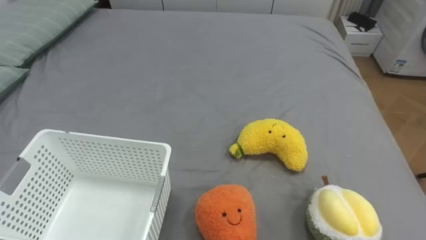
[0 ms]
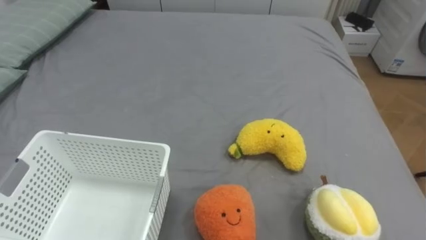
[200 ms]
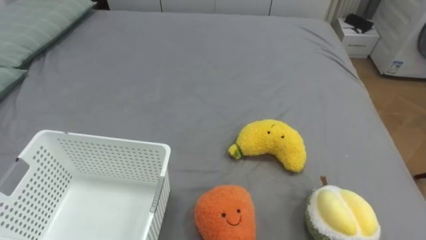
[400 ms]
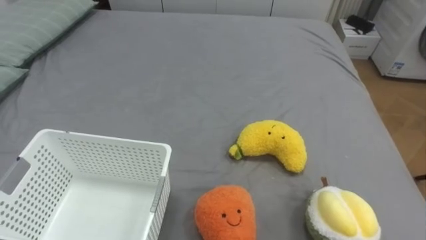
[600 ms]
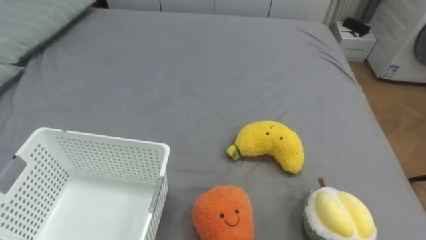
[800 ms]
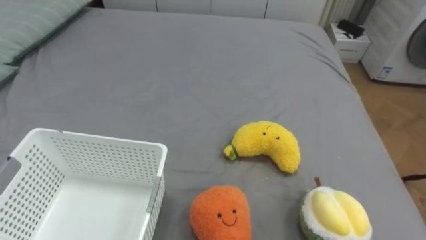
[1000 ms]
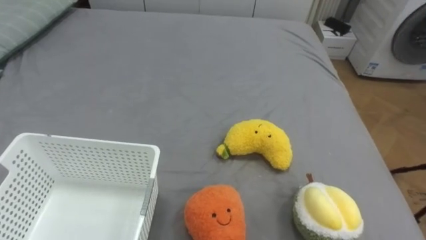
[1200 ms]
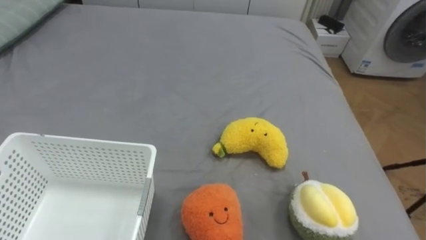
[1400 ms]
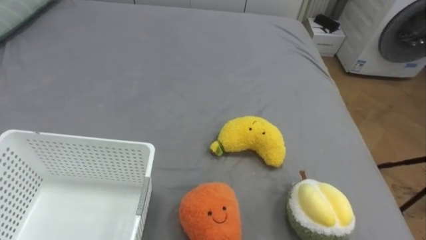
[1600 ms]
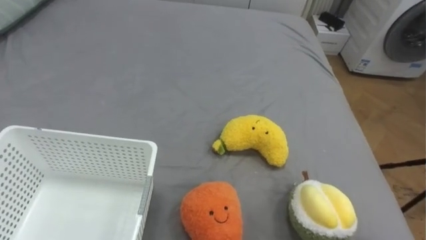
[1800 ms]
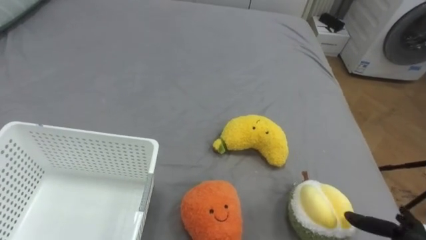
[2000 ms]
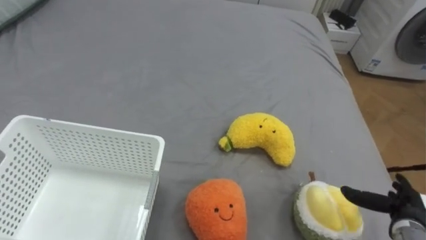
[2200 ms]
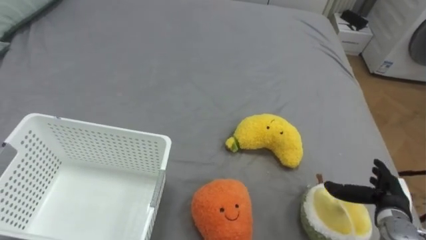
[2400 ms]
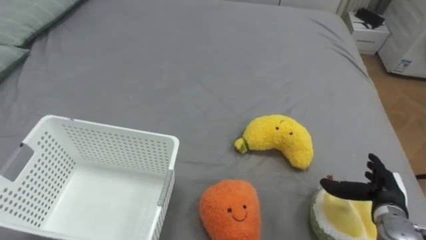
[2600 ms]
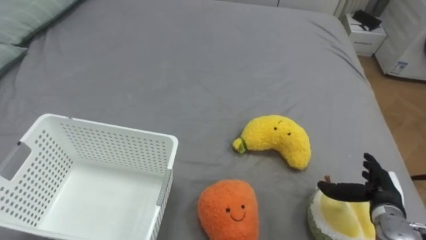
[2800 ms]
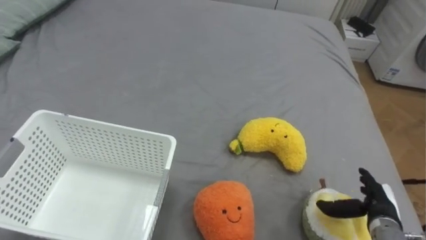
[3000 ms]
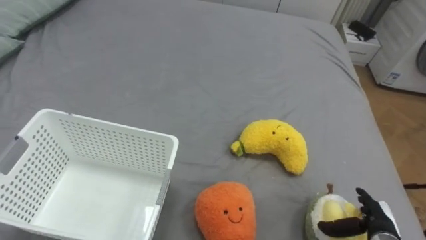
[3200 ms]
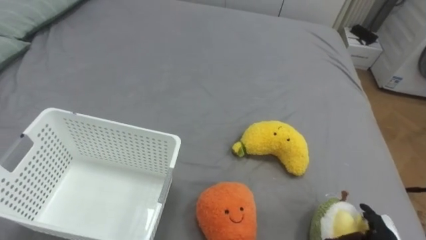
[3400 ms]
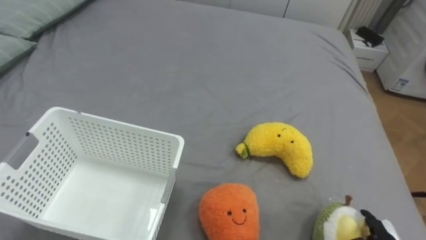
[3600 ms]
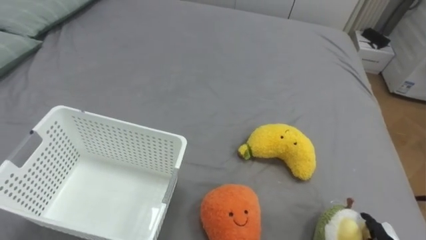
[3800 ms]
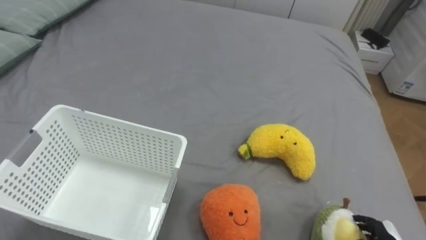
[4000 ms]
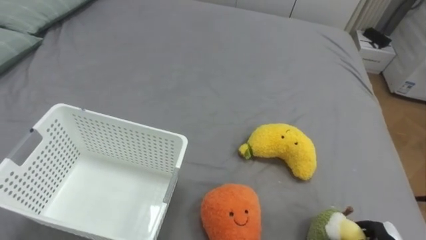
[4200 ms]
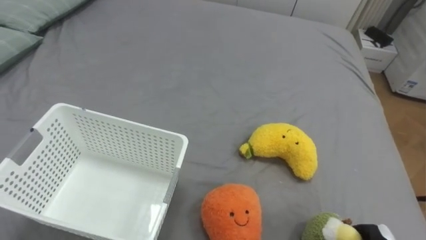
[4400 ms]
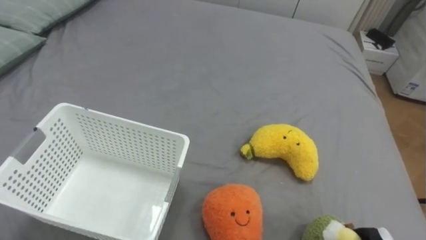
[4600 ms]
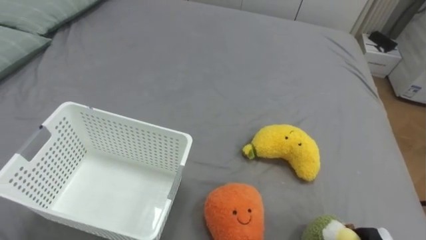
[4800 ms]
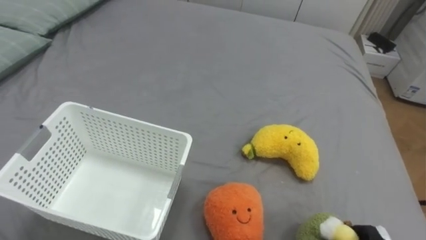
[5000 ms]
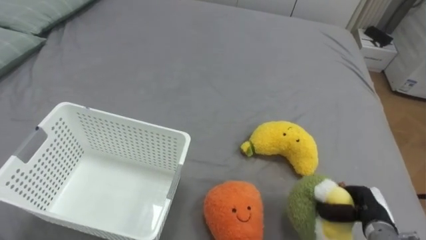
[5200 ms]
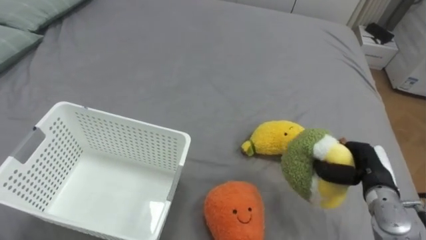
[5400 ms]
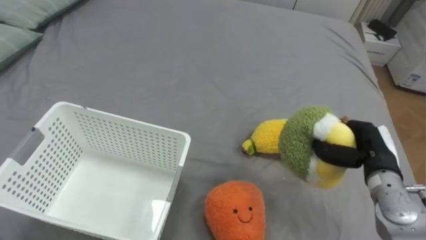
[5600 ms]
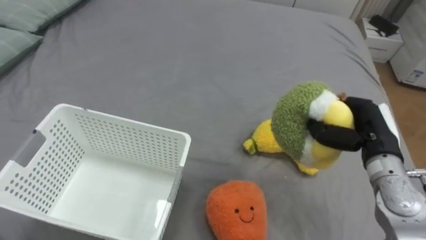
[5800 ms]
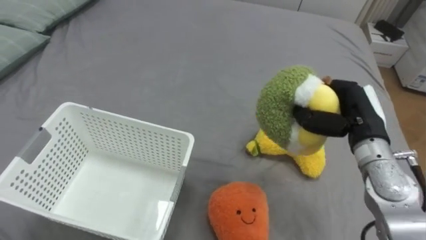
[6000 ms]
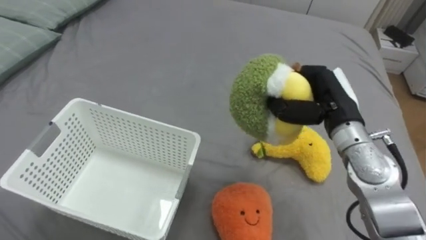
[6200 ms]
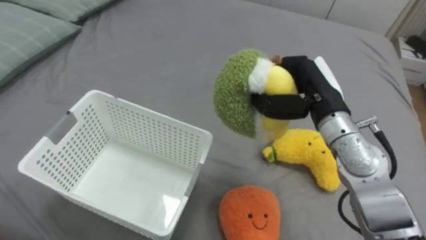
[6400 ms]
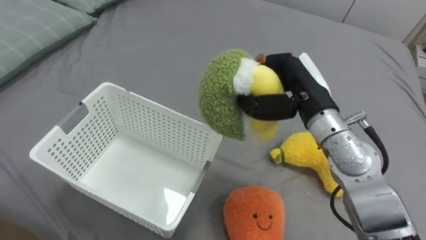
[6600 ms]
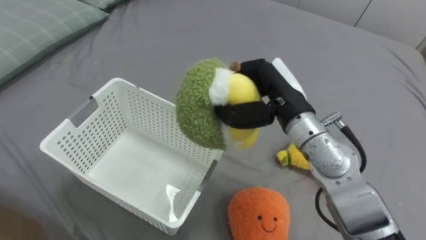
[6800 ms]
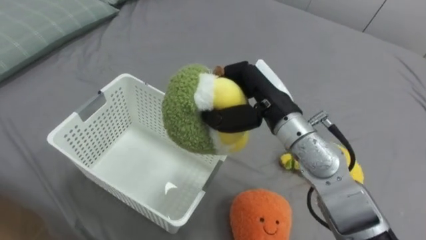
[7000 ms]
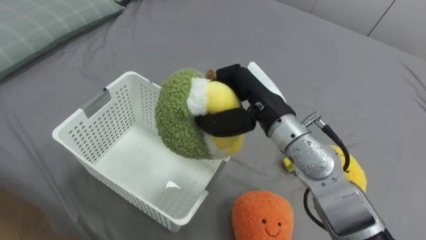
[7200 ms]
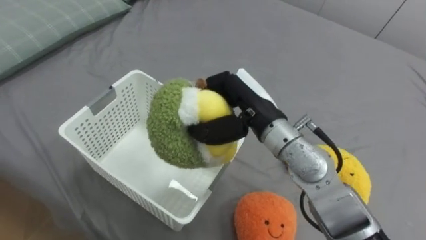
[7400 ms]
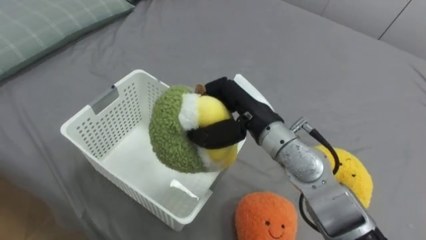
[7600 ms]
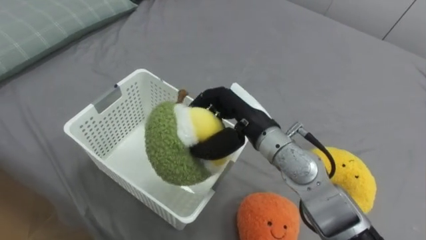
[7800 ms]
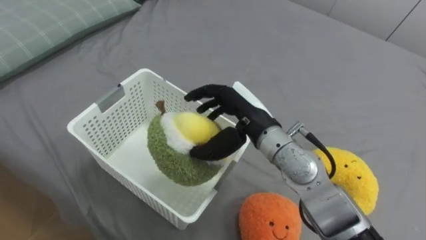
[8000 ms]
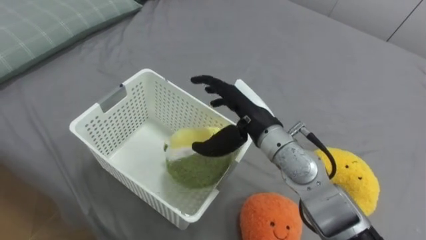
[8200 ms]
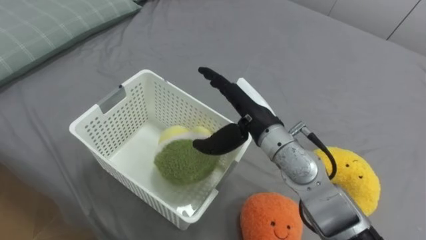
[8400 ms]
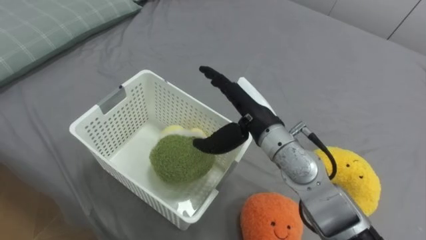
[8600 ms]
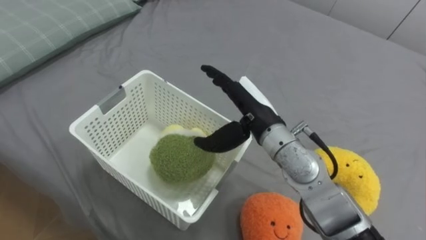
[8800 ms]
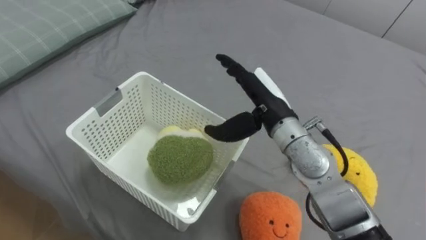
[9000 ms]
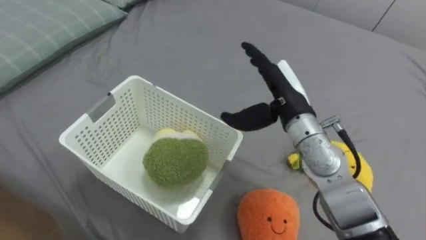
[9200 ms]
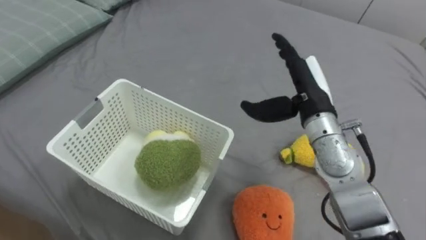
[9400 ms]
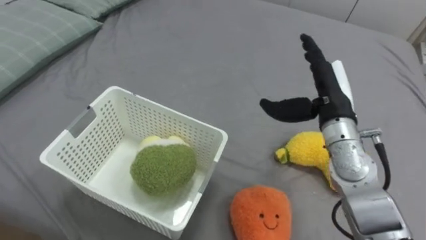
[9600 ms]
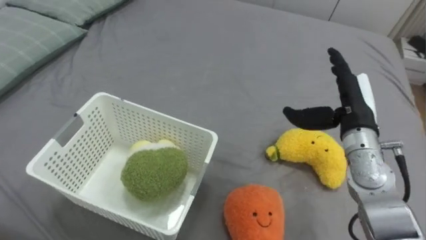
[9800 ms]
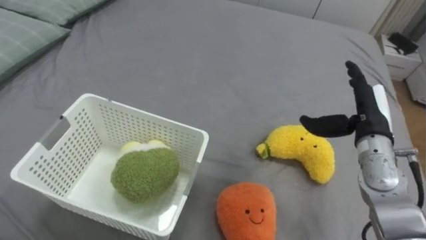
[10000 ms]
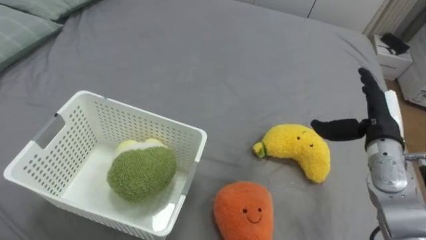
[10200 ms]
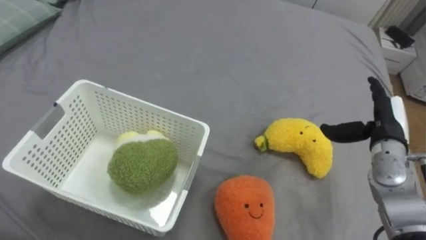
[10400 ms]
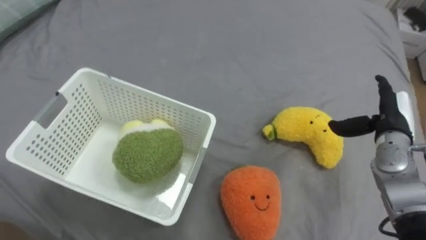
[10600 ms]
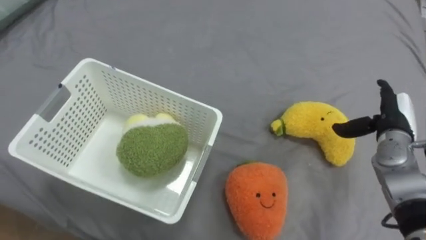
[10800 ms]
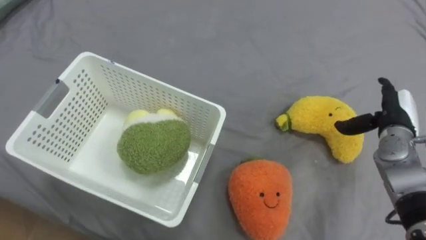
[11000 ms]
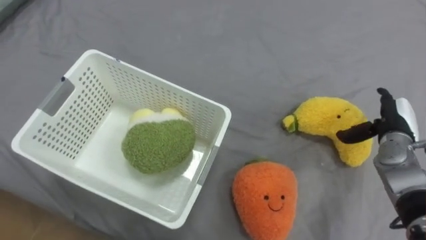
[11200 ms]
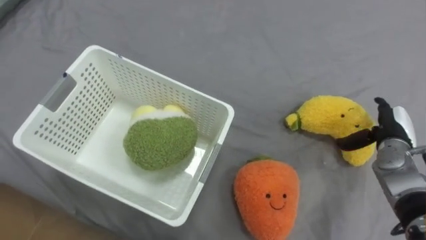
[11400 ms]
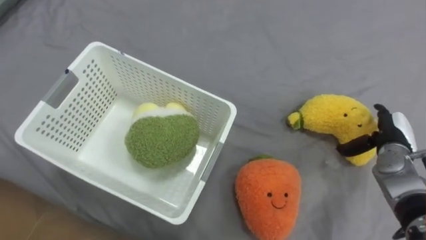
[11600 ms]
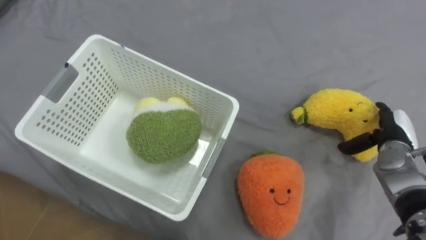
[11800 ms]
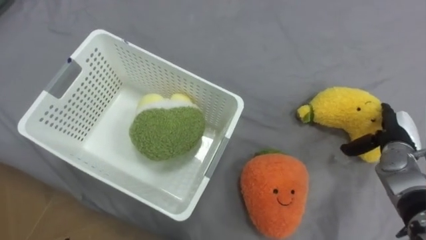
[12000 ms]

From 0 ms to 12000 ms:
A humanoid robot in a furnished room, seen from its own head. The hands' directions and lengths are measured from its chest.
Task of the whole recording: Put the toys on the bed into the basket on the left.
From 6000 ms to 7600 ms: The right hand heads to the left, covering approximately 20 cm.
From 7600 ms to 9000 ms: The right hand opens up.
From 9000 ms to 10400 ms: The right hand moves to the right, roughly 25 cm.
From 10400 ms to 12000 ms: The right hand heads downward, covering approximately 5 cm.

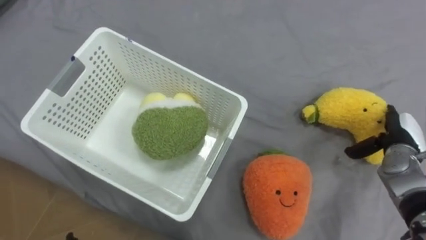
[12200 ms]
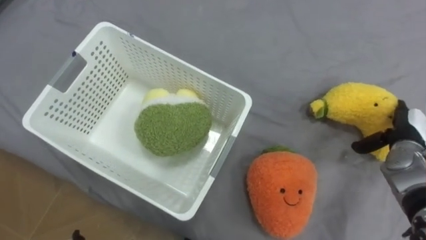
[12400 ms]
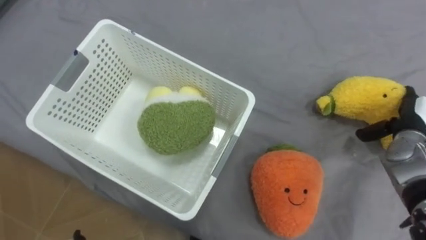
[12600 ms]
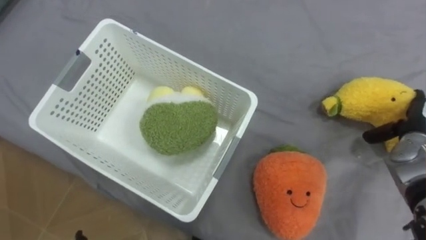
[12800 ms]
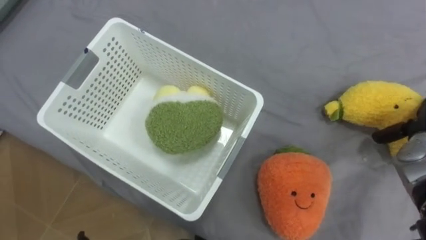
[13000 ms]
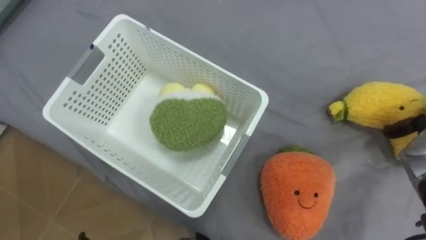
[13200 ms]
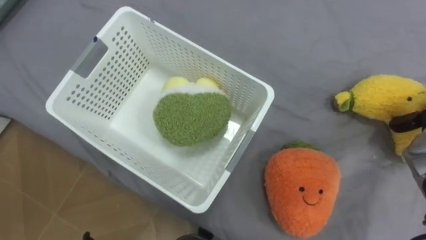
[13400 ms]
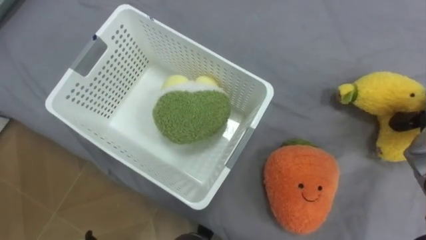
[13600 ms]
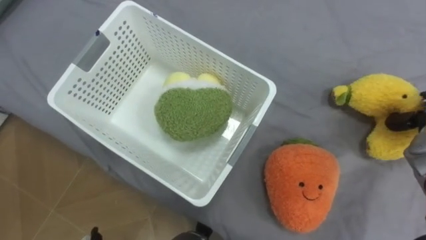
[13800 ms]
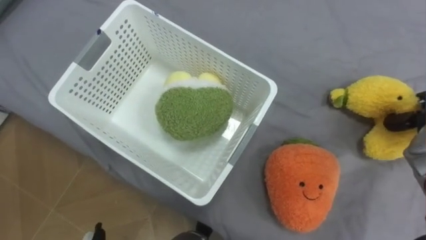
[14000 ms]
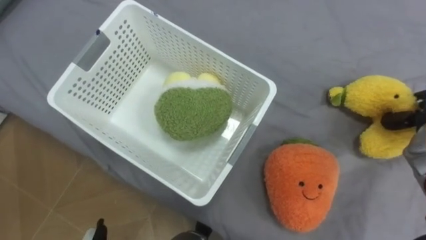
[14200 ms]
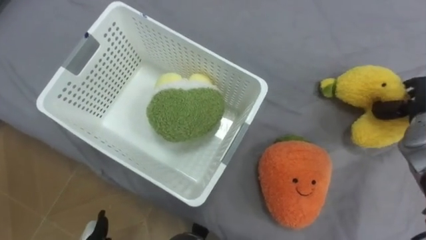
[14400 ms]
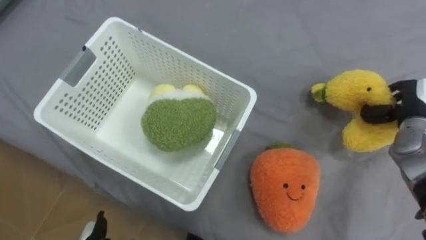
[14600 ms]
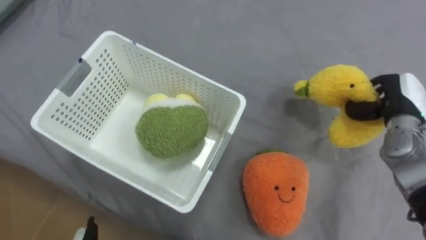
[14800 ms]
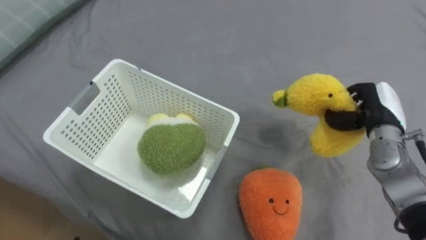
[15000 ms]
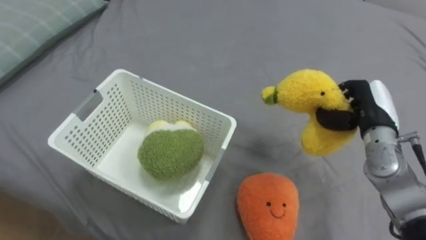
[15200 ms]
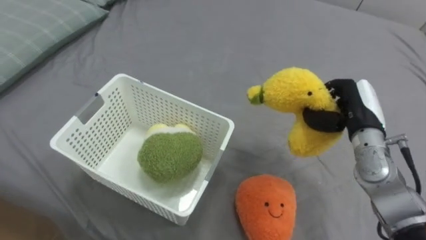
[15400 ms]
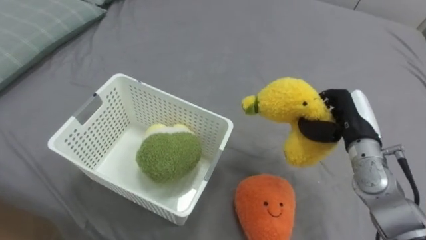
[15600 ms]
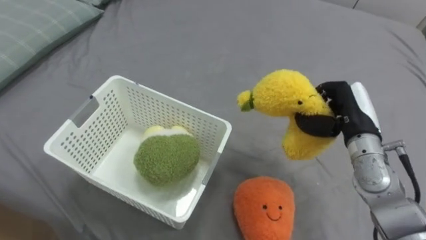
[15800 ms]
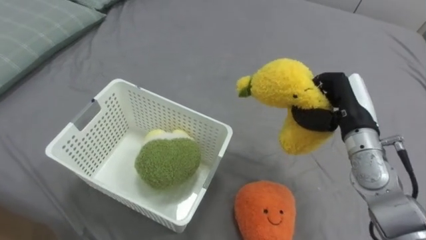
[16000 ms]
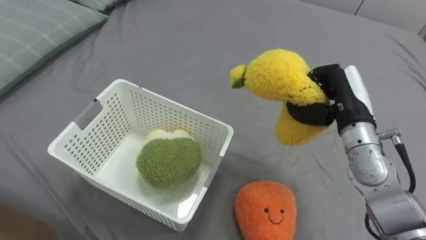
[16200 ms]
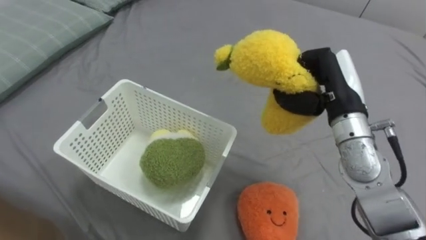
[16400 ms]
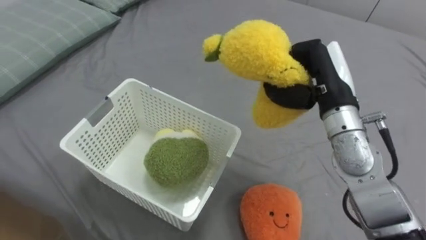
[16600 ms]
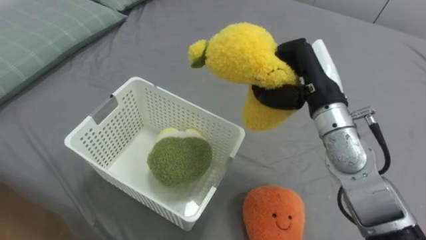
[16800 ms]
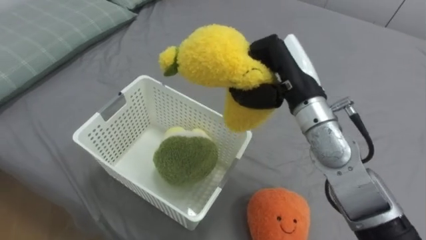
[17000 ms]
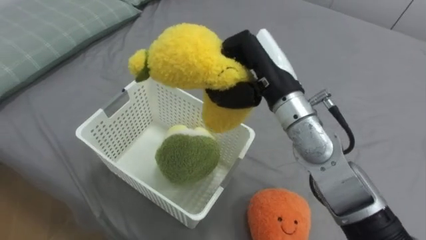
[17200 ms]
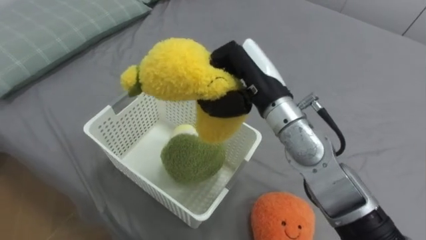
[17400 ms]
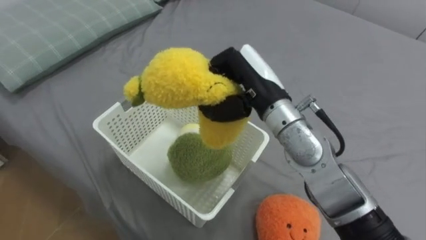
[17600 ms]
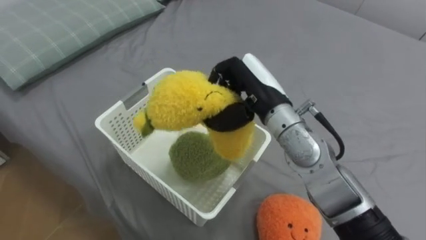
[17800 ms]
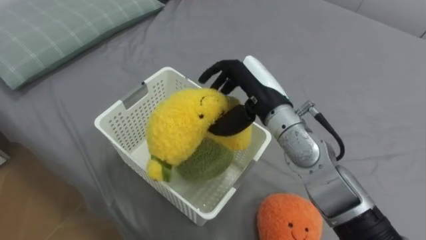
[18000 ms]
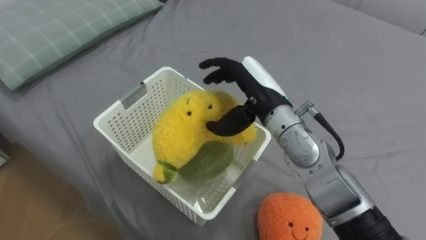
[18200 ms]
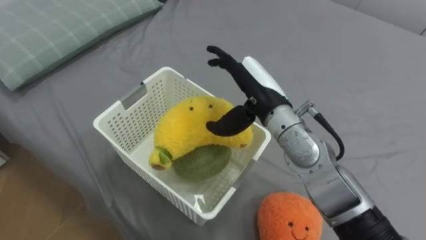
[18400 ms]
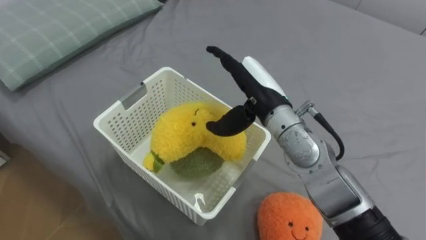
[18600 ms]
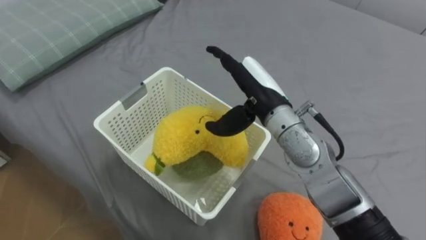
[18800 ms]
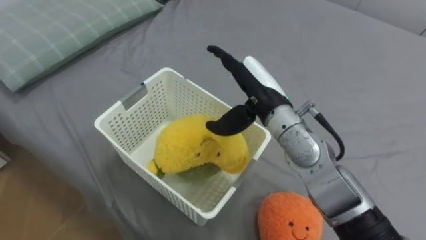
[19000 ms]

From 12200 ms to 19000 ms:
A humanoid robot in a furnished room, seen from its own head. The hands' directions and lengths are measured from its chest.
Task of the whole recording: Put the toys on the bed into the basket on the left.
From 15000 ms to 16200 ms: The right hand heads to the left, covering some 10 cm.
From 16200 ms to 17600 ms: The right hand moves to the left, about 15 cm.
From 17600 ms to 19000 ms: The right hand opens its fingers.
